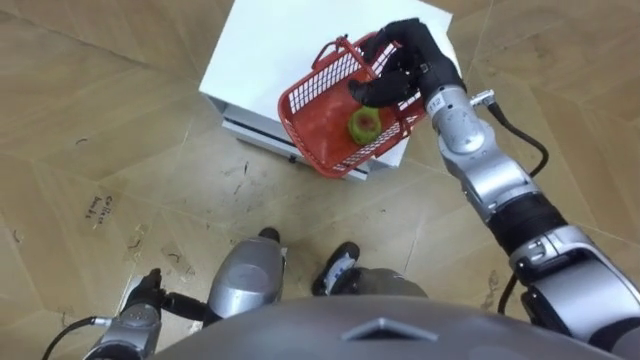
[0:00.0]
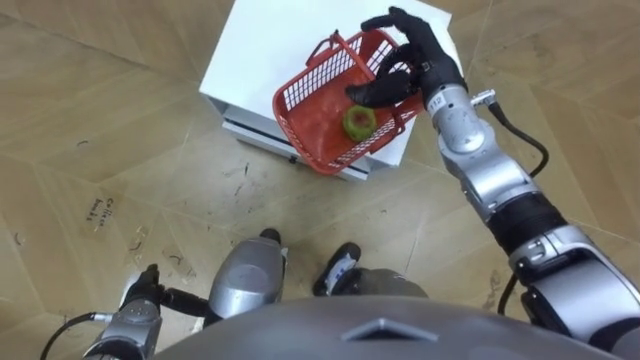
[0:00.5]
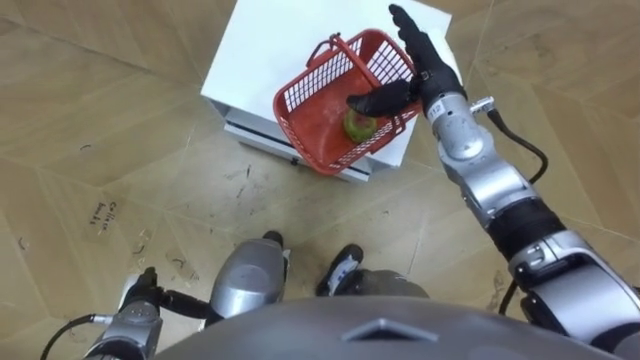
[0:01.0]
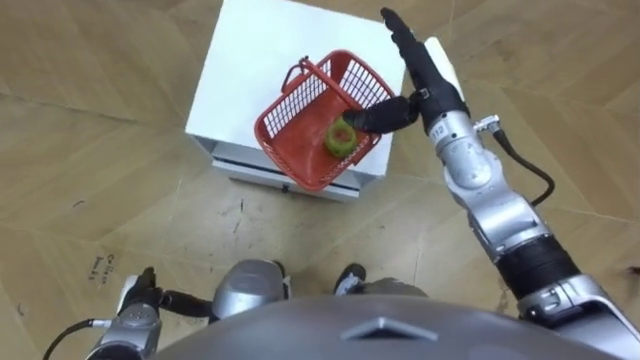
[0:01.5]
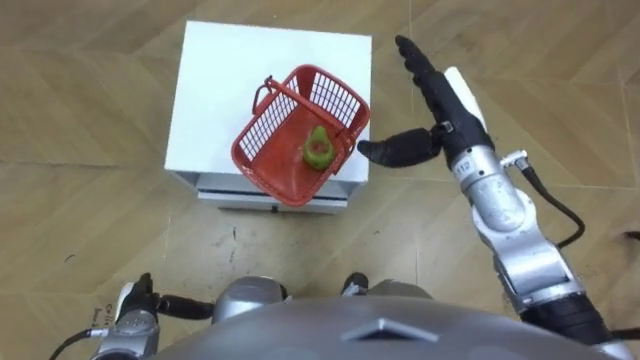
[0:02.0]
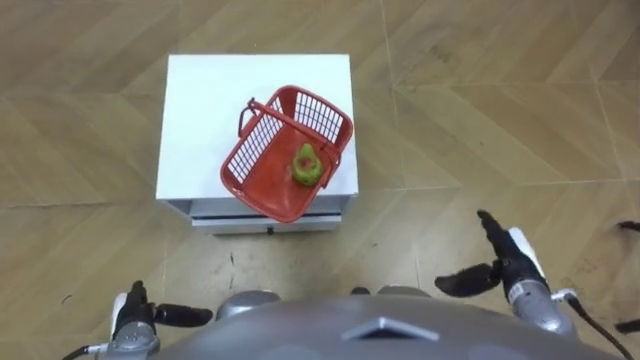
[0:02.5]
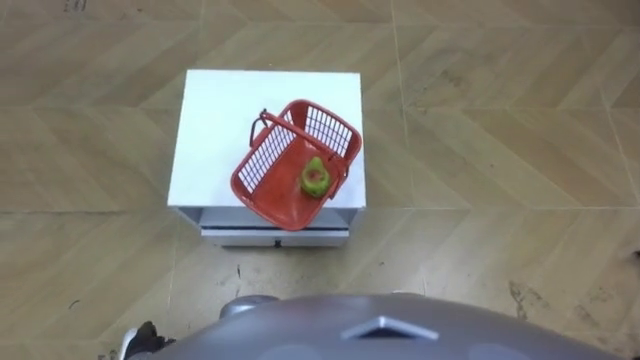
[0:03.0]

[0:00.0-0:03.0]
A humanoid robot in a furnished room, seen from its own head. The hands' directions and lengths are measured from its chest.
Task of the whole recording: Pick up the fruit basket from the floor and place it on the cabinet.
0:00.0 to 0:01.5: The right hand opens up.
0:01.5 to 0:03.0: The right hand goes about 40 cm backward and downward; the left hand travels backward by some 5 cm.

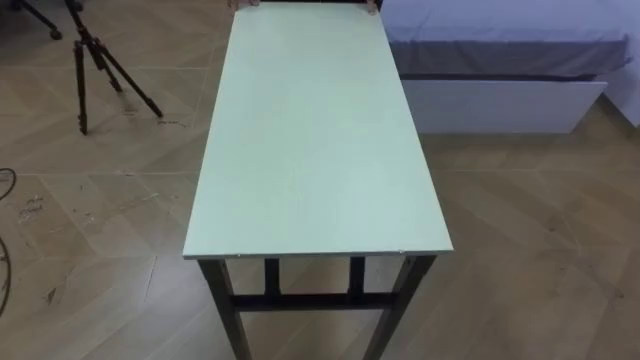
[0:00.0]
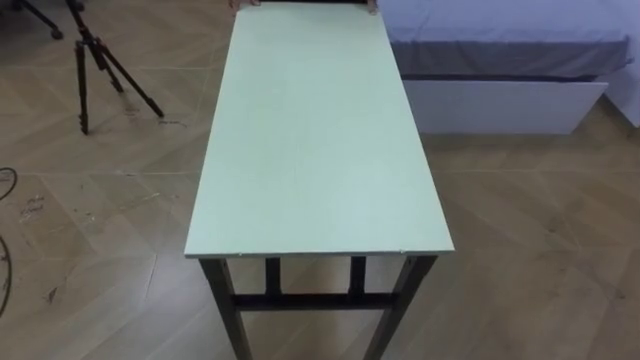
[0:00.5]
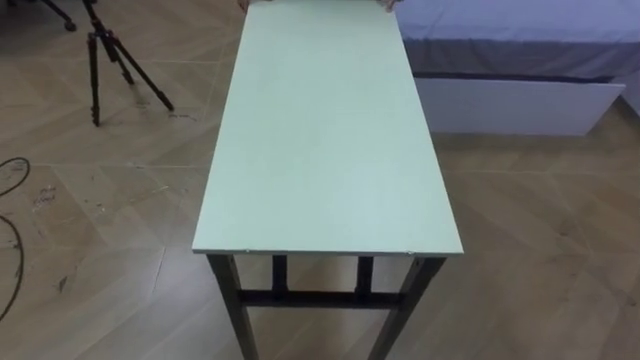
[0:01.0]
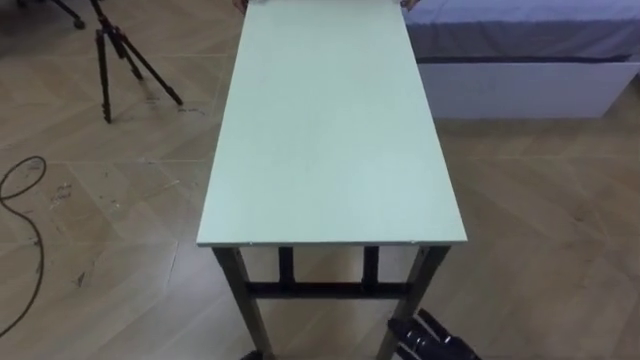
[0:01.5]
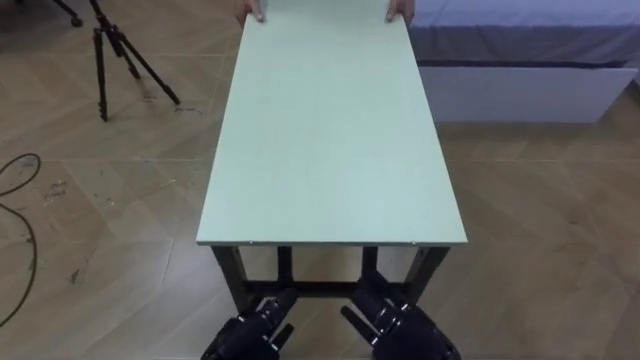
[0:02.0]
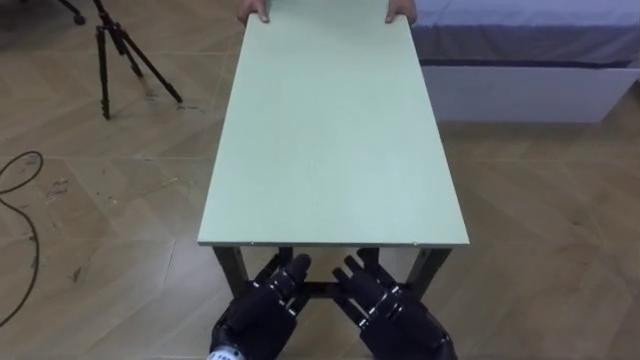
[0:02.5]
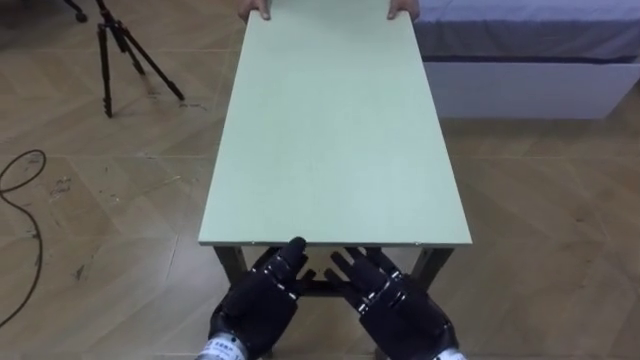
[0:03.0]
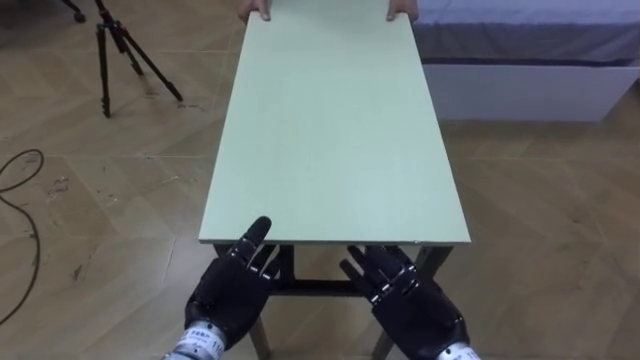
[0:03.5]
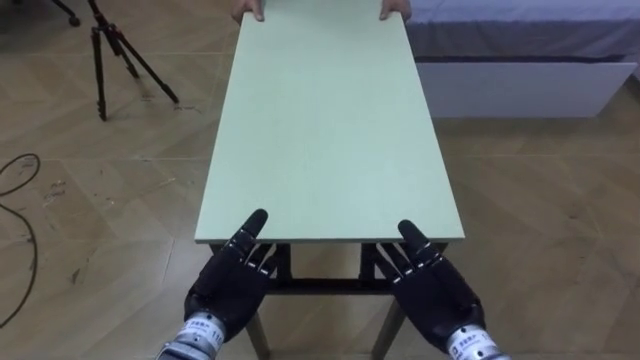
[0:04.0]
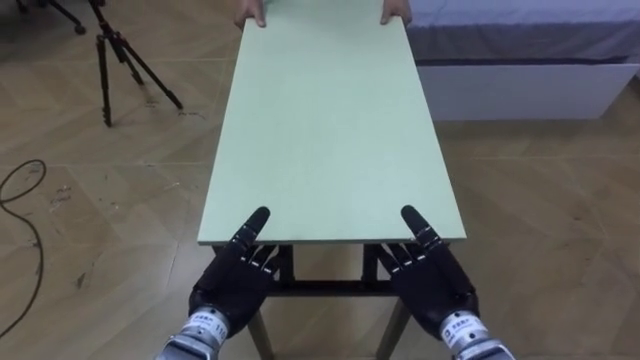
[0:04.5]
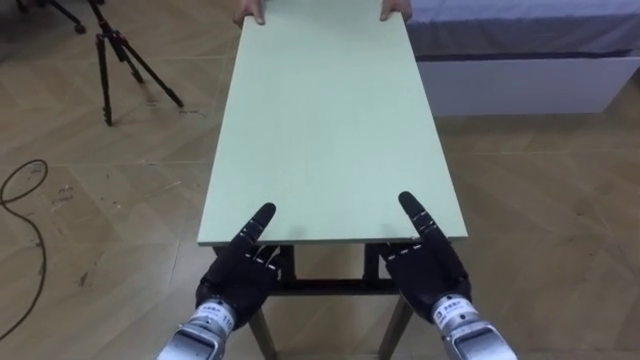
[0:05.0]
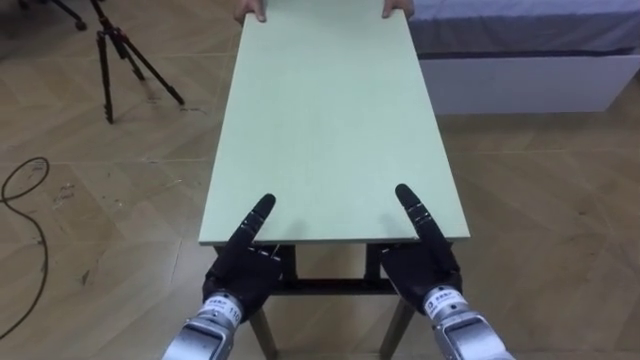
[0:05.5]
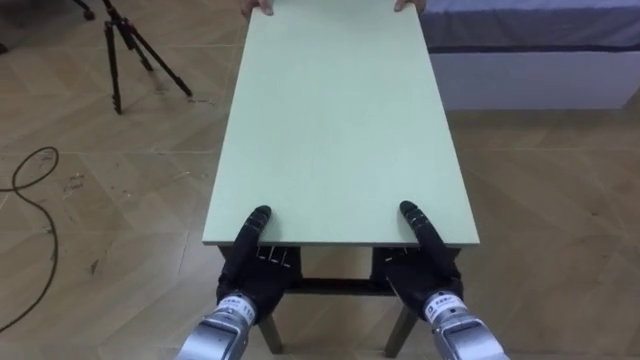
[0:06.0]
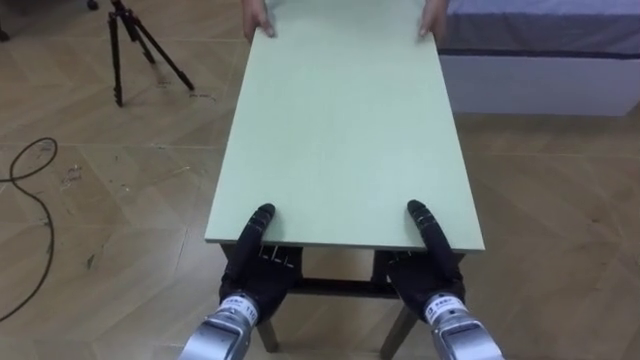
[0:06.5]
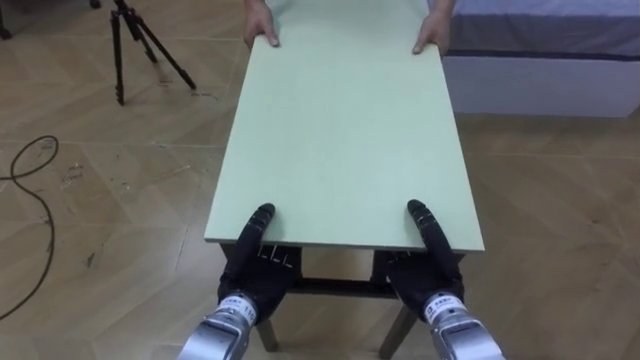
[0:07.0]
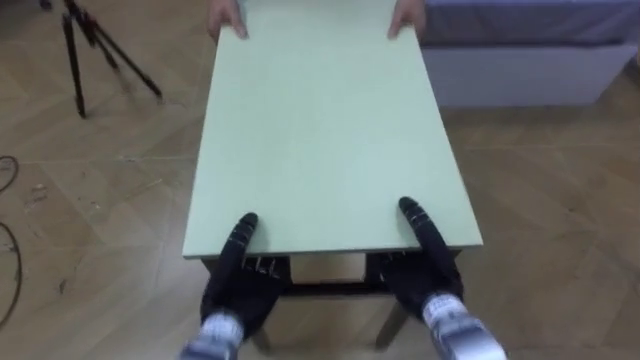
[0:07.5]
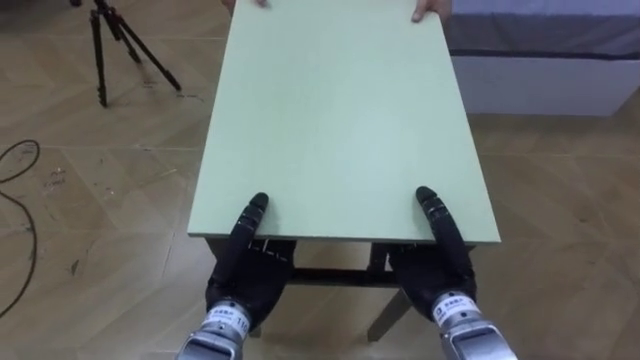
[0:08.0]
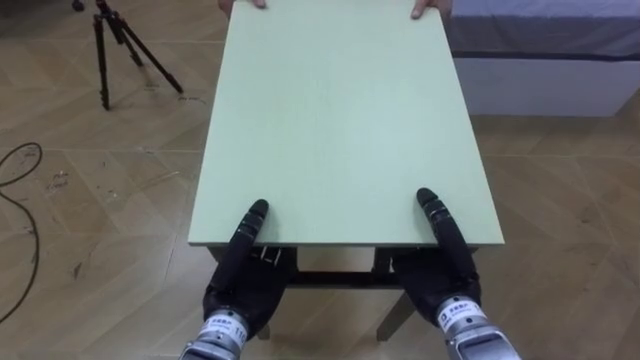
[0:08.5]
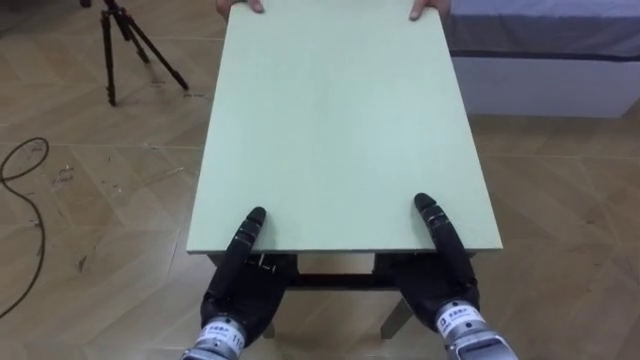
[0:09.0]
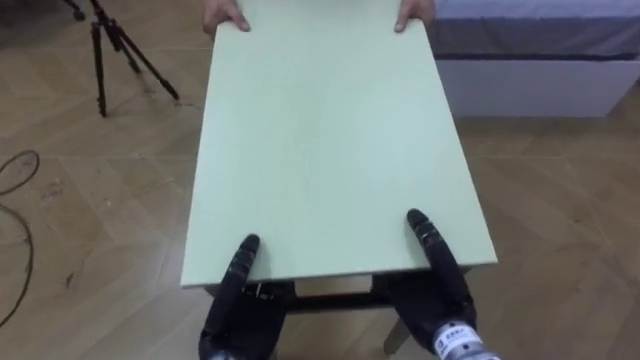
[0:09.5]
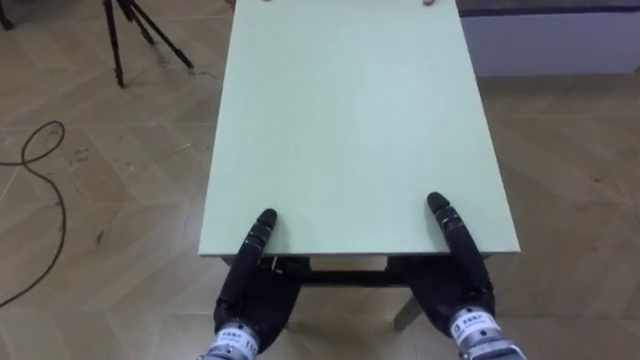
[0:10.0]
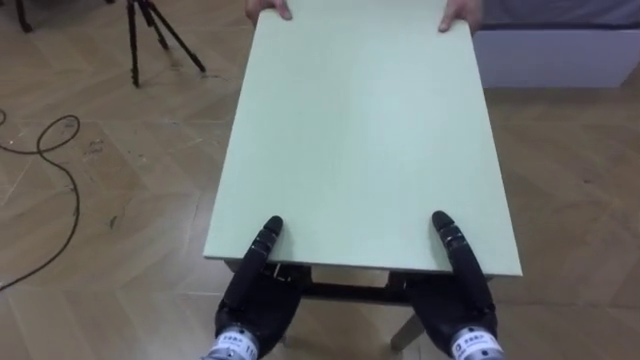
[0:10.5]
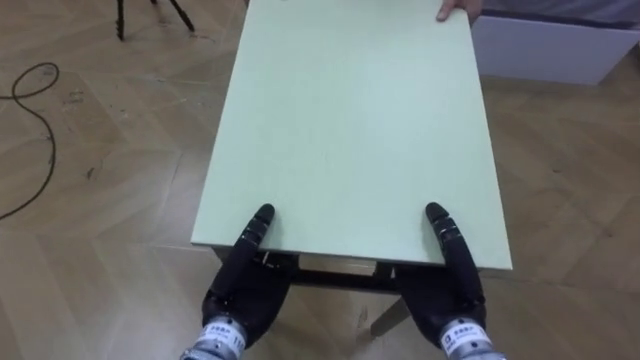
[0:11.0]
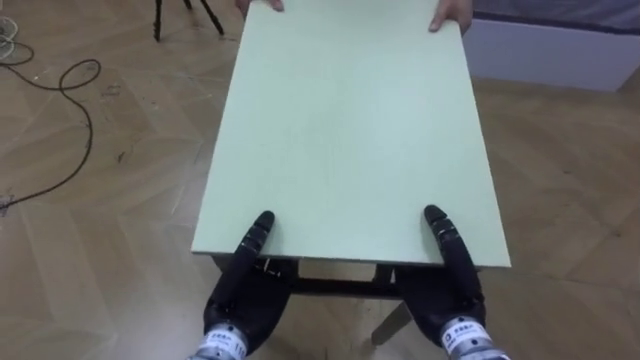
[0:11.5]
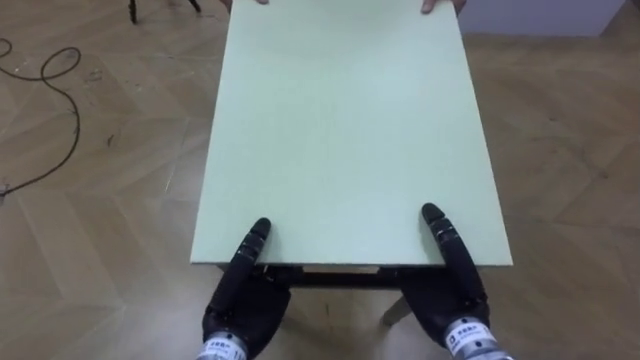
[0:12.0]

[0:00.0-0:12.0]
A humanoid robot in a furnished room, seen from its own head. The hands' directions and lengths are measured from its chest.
Task of the whole recording: Move the table to the back left with someone.
0:02.0 to 0:04.0: The left hand is displaced upward and forward by some 10 cm. Meanwhile the right hand moves forward, approximately 5 cm.
0:04.0 to 0:06.0: The left hand closes; the right hand closes its fingers.
0:06.0 to 0:08.0: The left hand moves upward, some 5 cm.

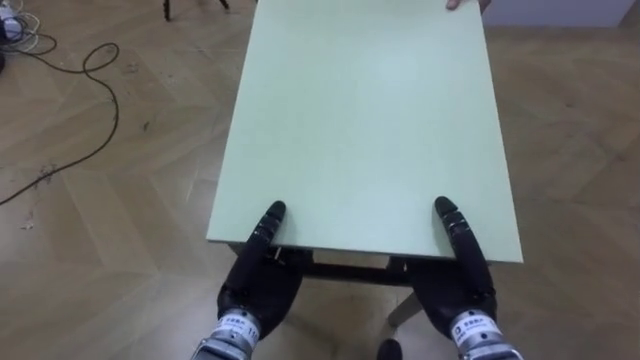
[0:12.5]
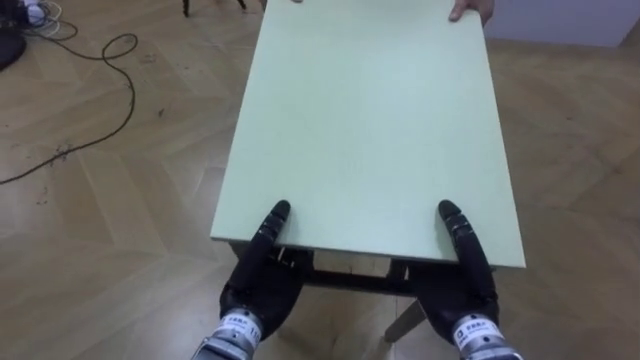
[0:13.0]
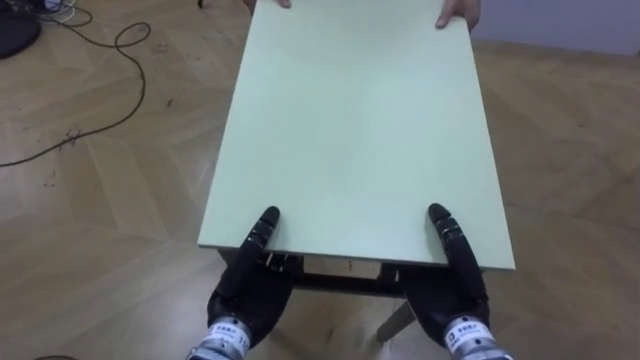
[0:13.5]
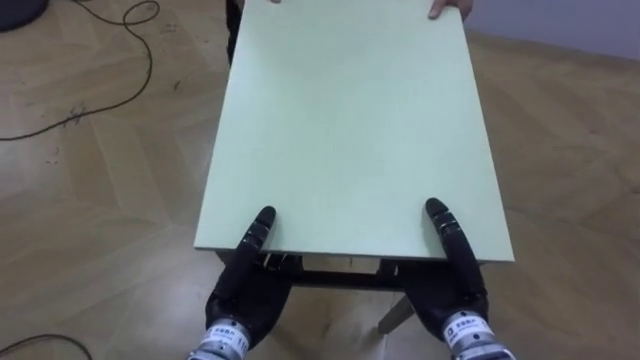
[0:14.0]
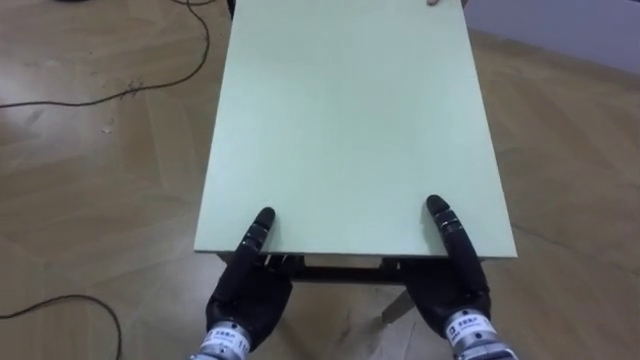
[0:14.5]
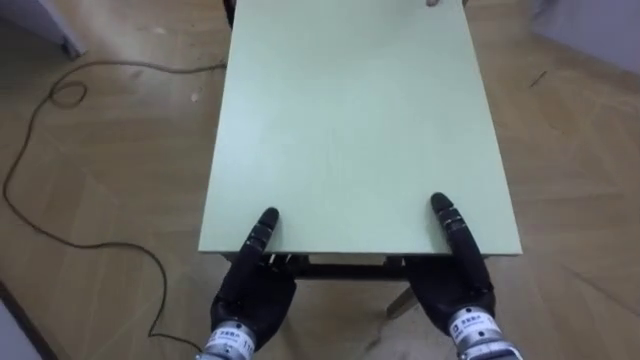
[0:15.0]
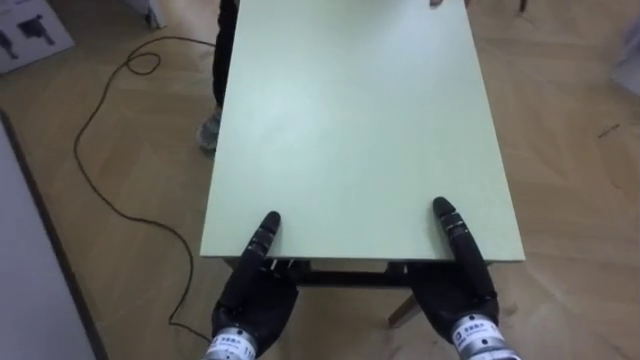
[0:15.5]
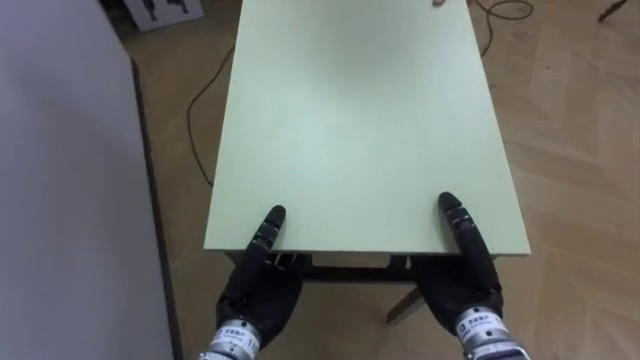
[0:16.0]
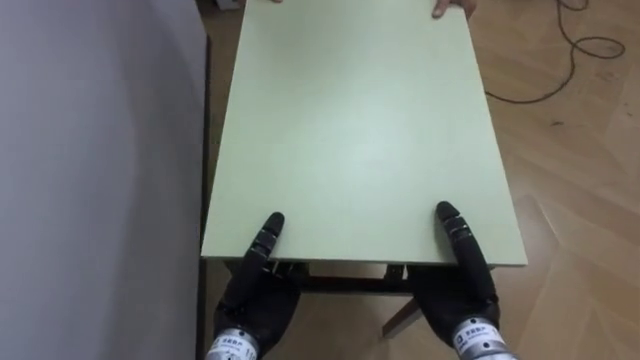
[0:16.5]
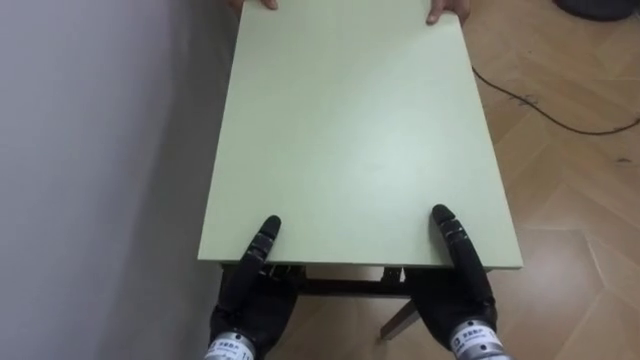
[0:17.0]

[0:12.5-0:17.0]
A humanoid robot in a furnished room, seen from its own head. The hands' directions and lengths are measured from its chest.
Task of the whole recording: Move the table to the back left with someone.
0:14.5 to 0:17.0: The robot faces some 70 degrees further to its left.
